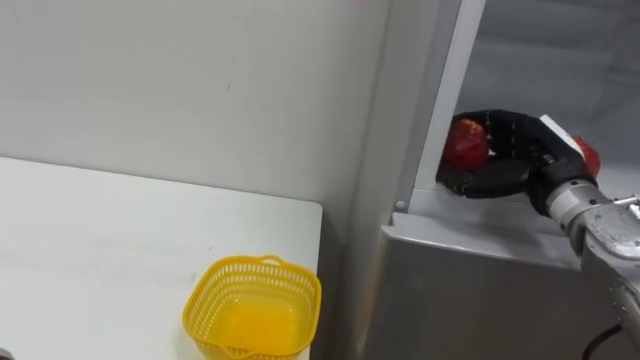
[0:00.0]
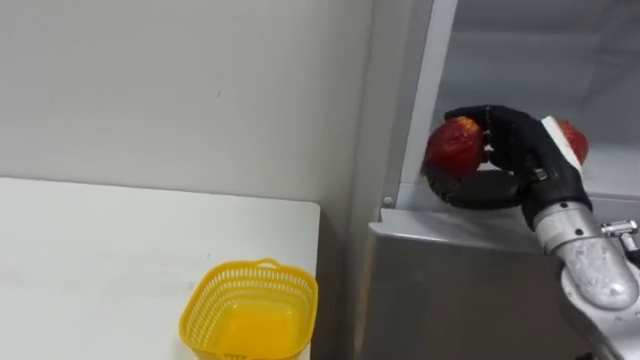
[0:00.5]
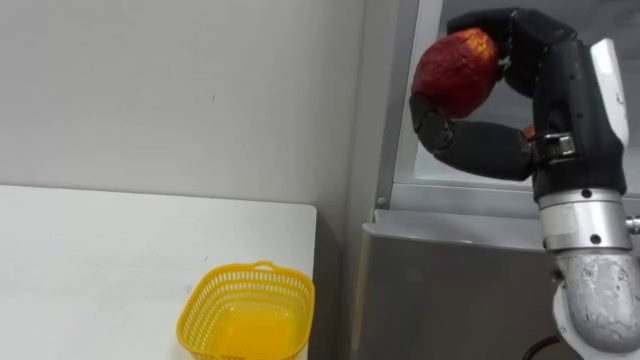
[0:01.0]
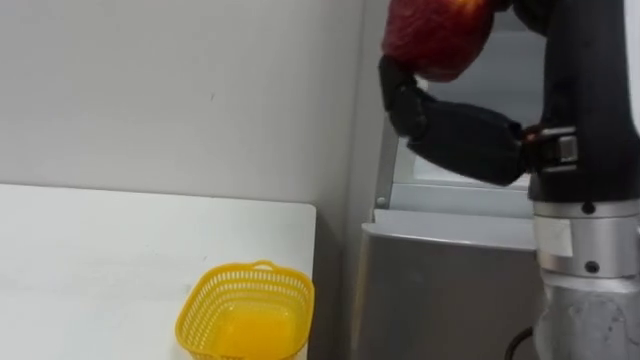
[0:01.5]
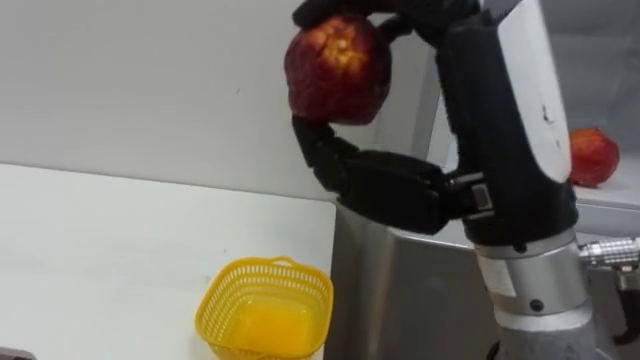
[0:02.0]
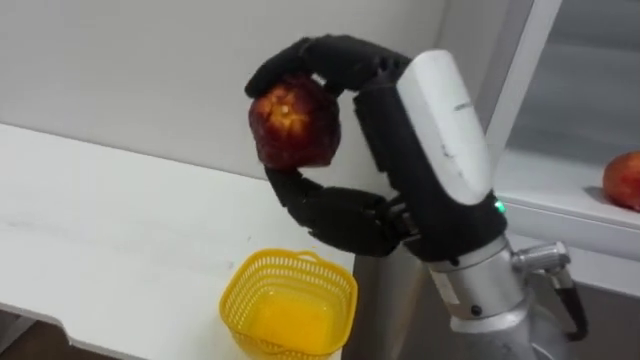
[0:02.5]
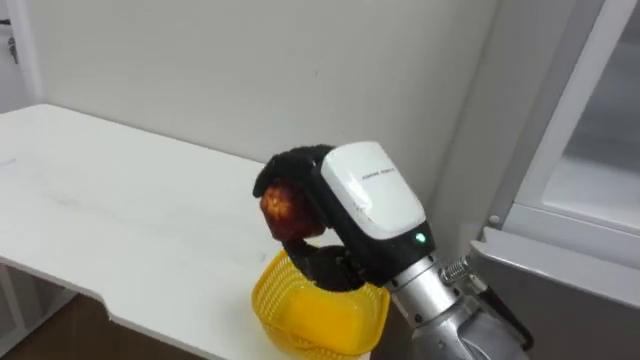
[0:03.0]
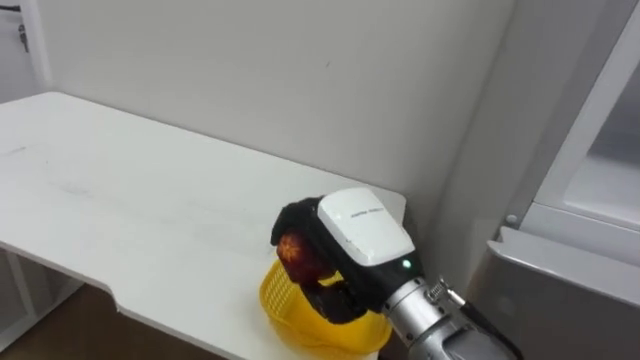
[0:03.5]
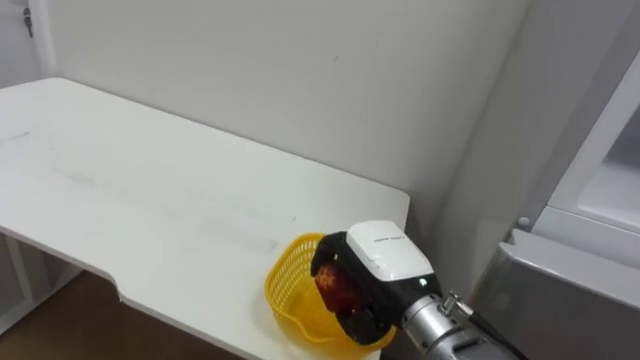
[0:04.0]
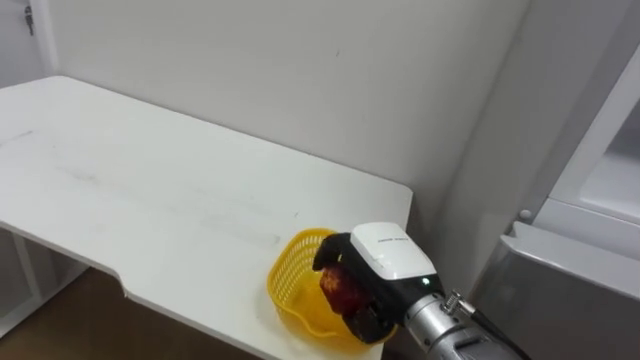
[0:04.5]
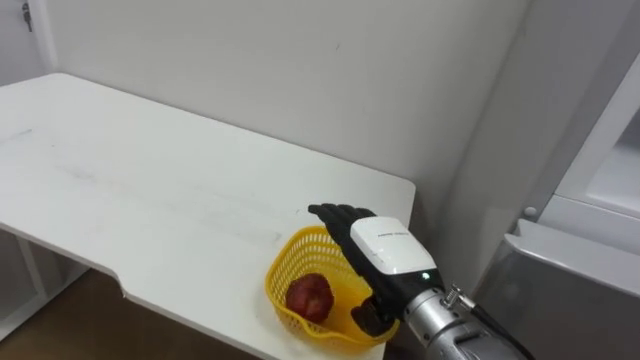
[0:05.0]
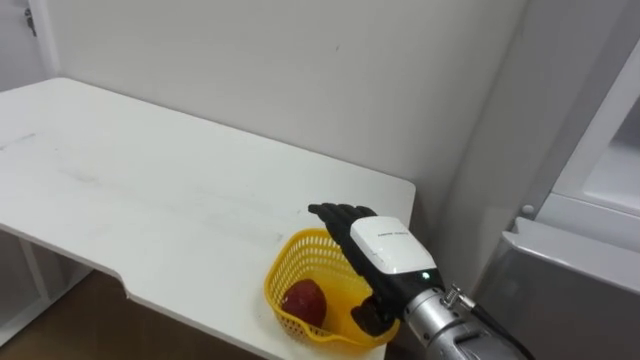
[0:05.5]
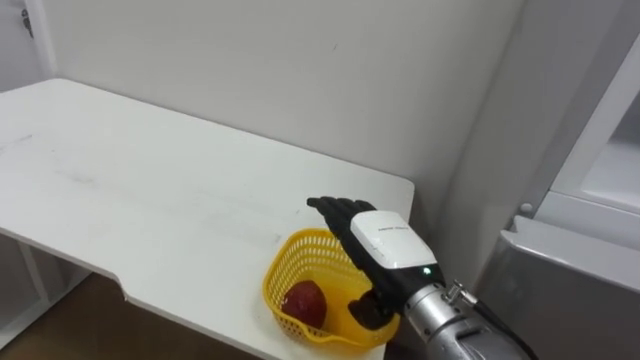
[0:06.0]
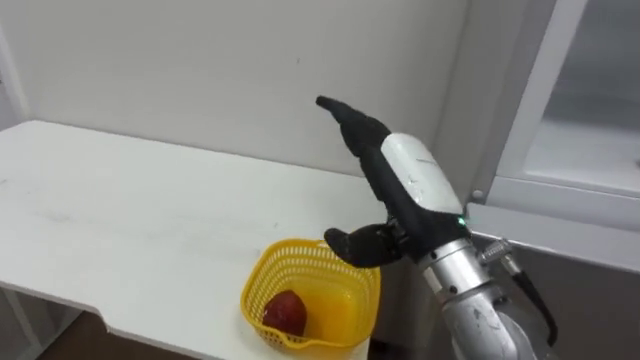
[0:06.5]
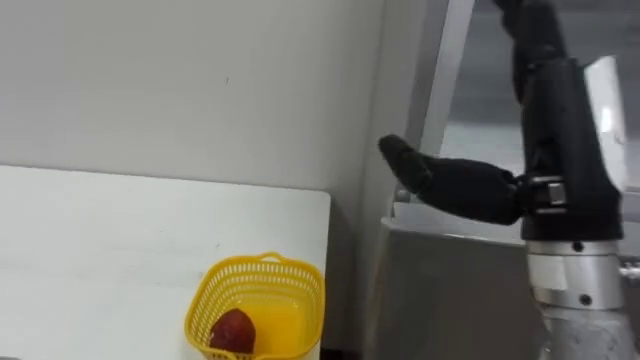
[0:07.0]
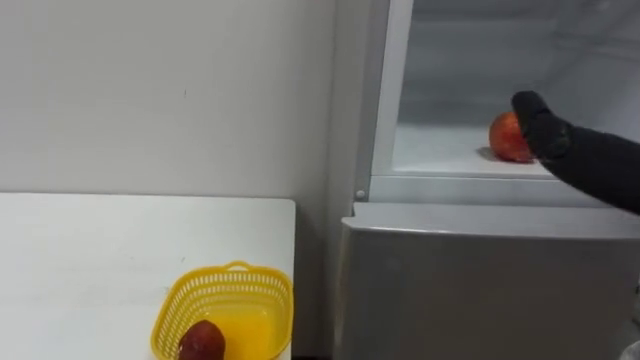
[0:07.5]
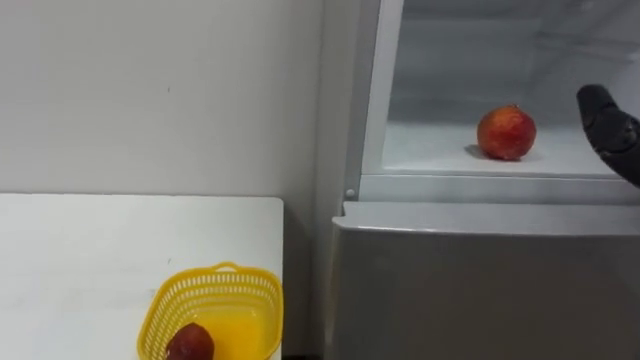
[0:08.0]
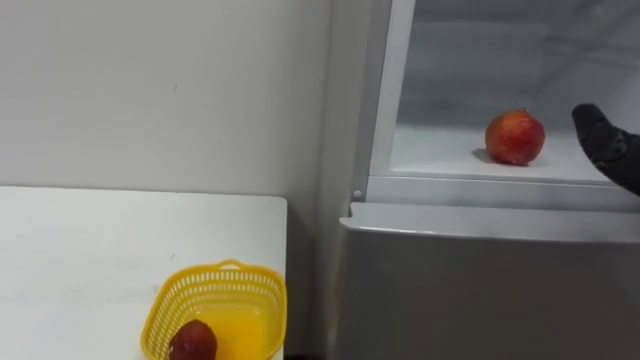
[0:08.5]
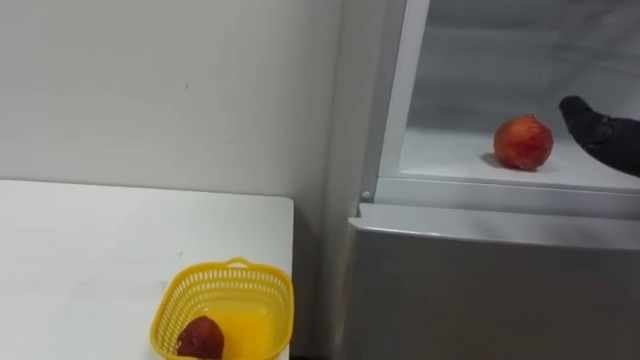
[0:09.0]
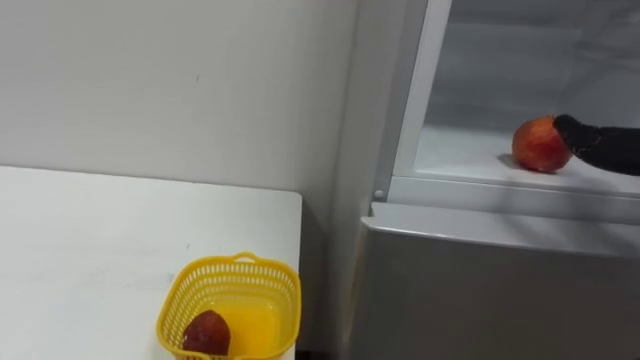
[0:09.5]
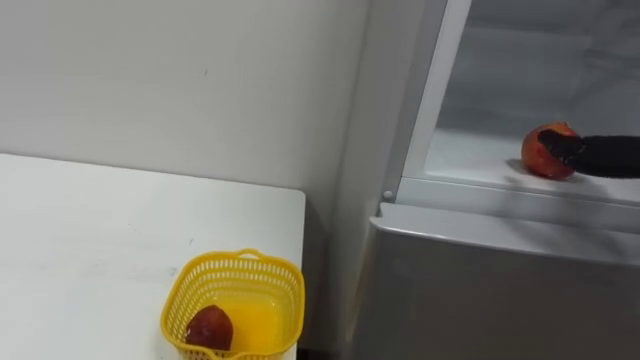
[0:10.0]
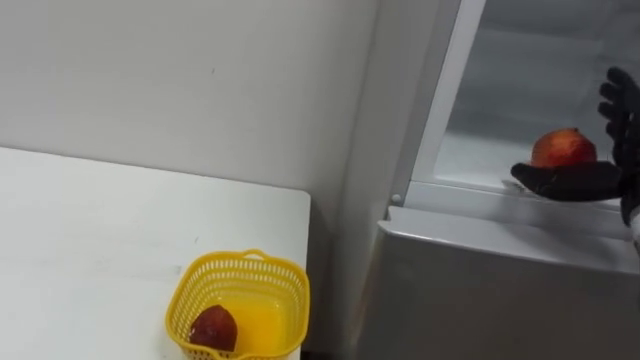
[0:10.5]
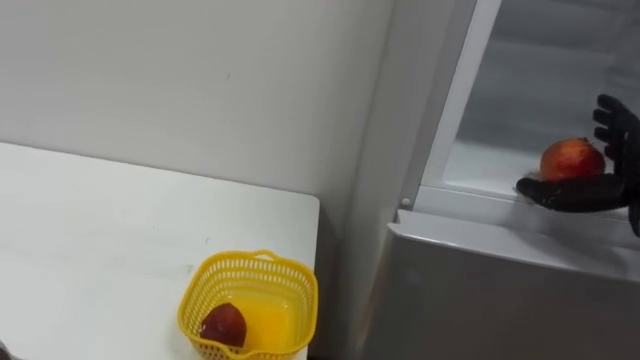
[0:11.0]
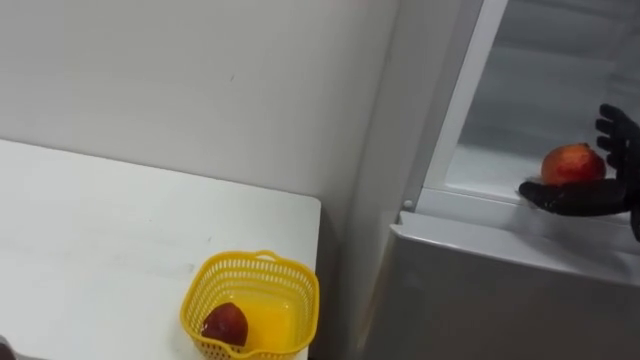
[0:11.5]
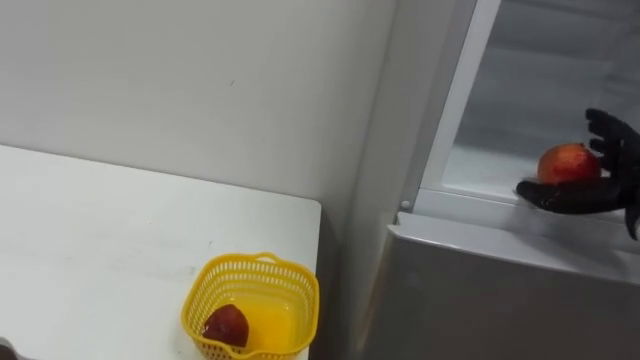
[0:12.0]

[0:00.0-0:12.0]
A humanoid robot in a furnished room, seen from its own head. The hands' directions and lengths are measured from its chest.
Task of the whole recording: Open the refrigerator door, take out the apple and the pomegranate, place them in the fruit basket on the left, and close the refrigerator door.
0:00.0 to 0:02.0: The right hand heads backward, to the left and upward, covering about 25 cm.
0:02.0 to 0:04.0: The right hand moves downward and forward, about 25 cm.
0:04.0 to 0:06.0: The right hand opens up.

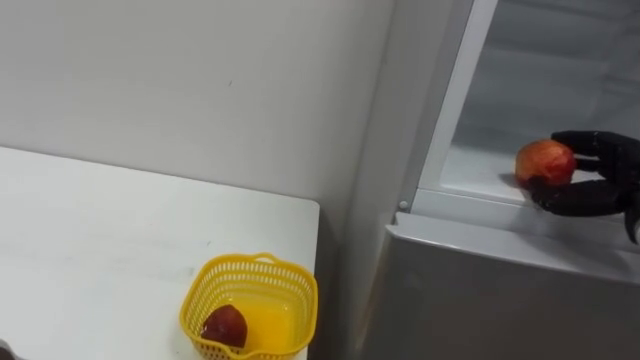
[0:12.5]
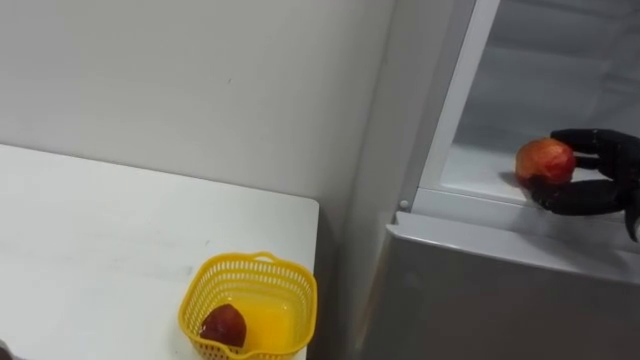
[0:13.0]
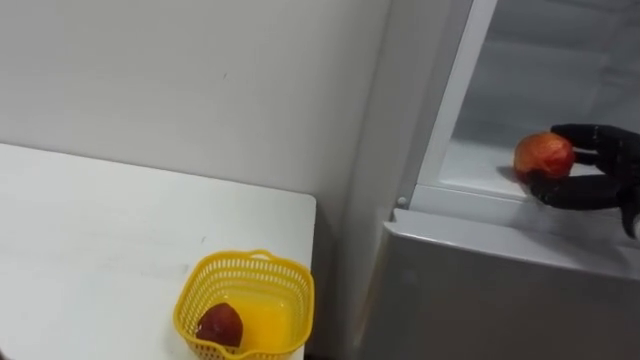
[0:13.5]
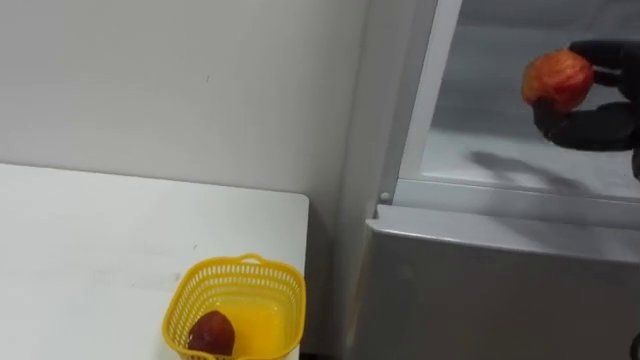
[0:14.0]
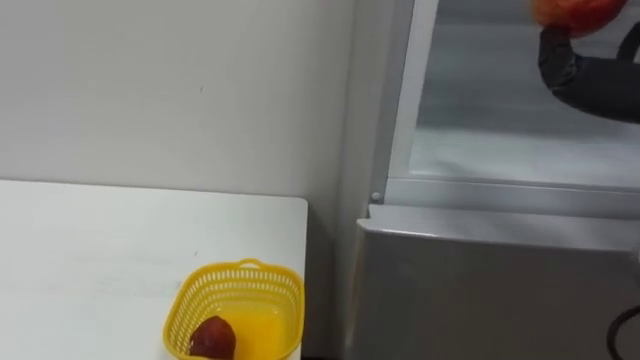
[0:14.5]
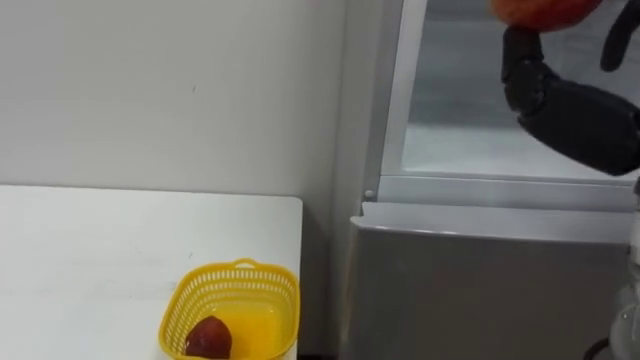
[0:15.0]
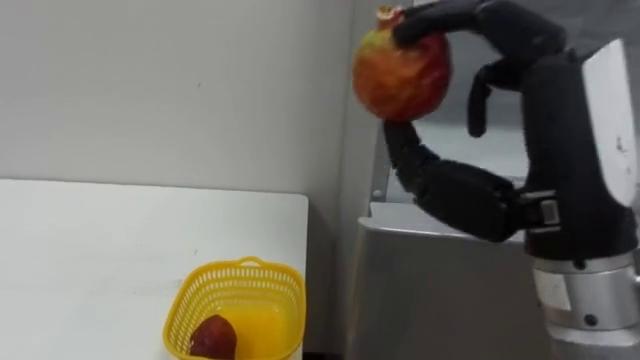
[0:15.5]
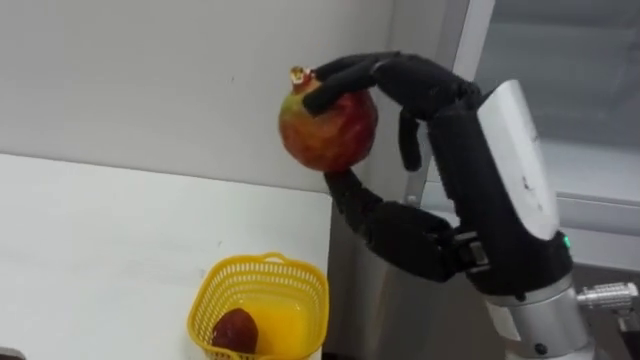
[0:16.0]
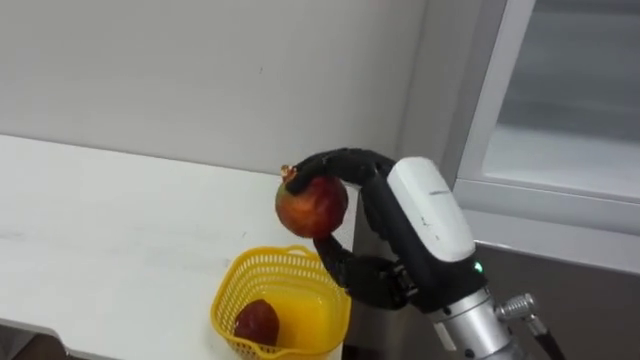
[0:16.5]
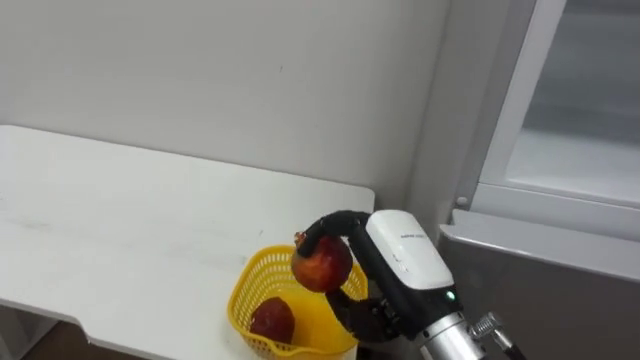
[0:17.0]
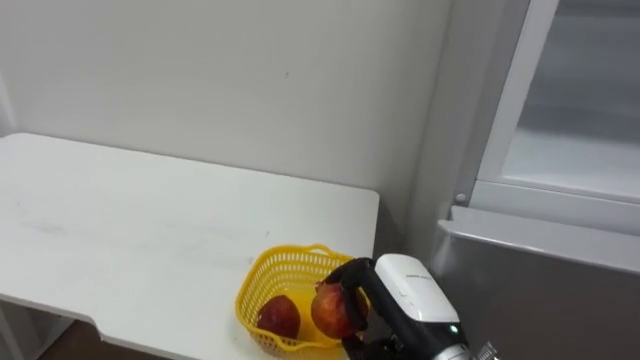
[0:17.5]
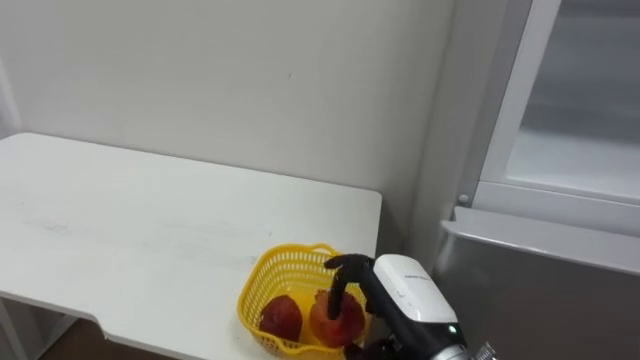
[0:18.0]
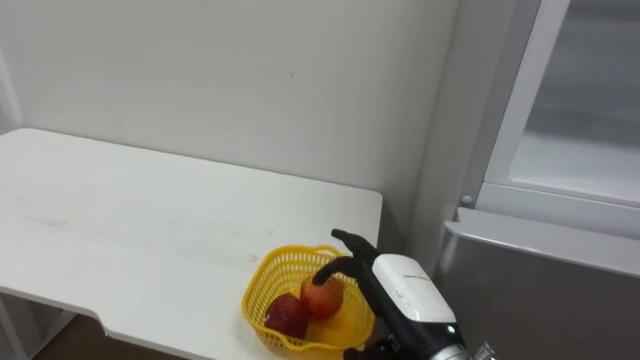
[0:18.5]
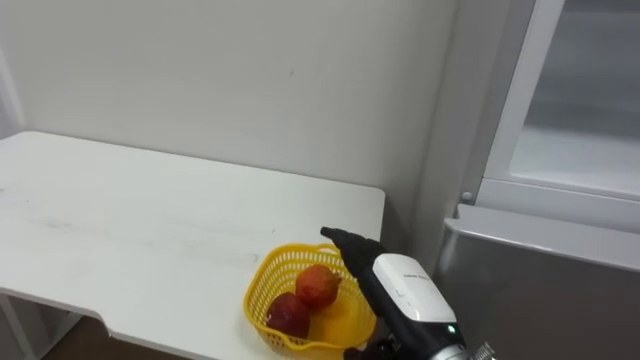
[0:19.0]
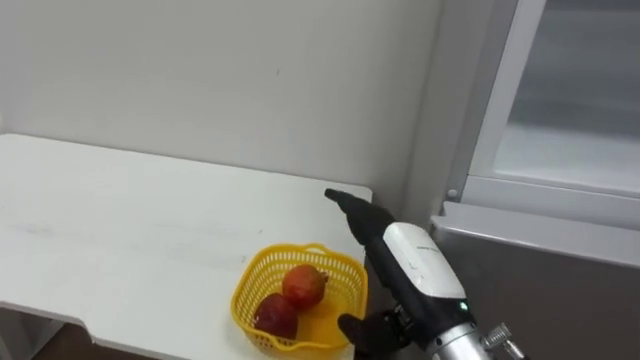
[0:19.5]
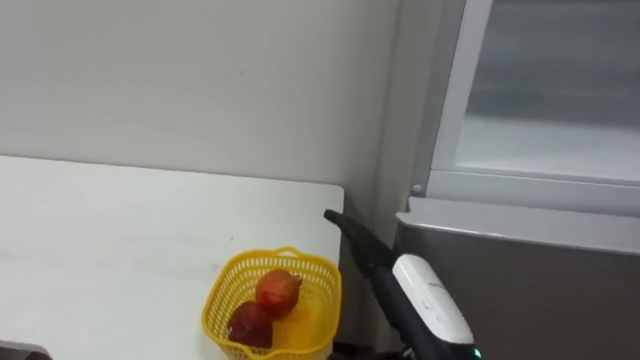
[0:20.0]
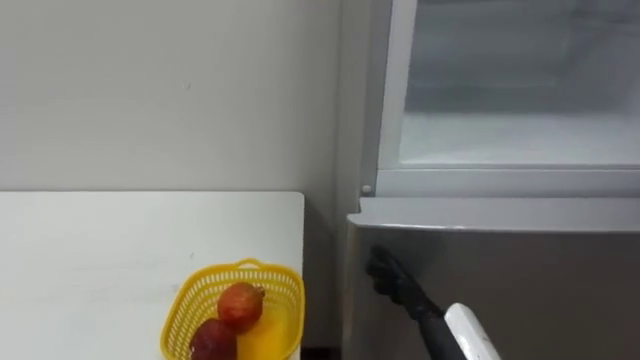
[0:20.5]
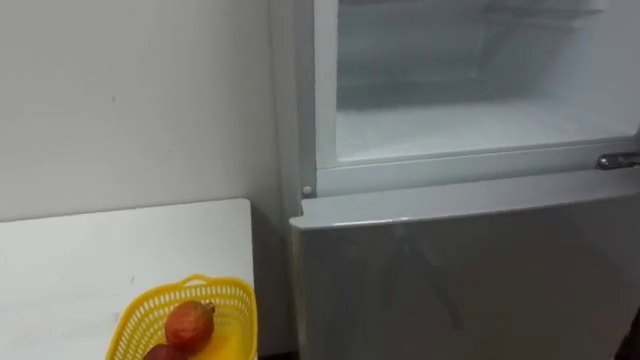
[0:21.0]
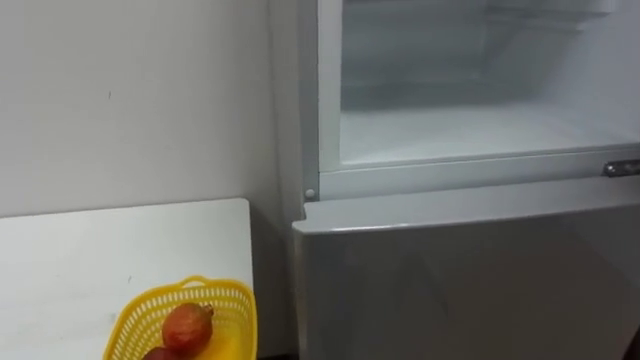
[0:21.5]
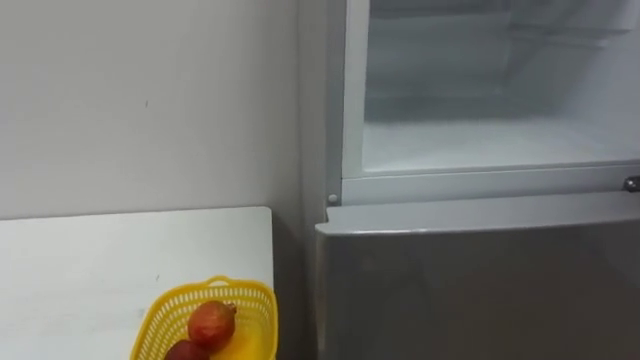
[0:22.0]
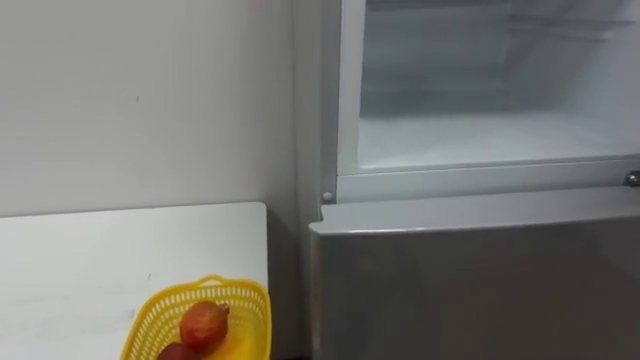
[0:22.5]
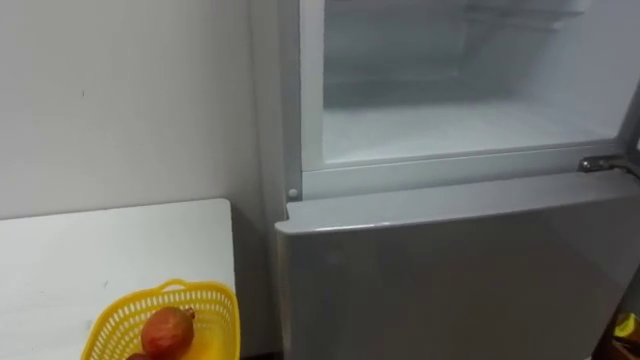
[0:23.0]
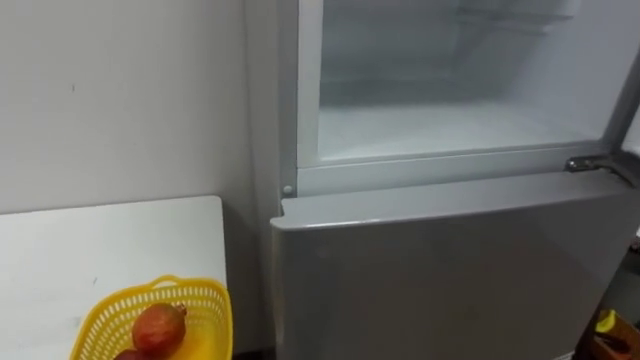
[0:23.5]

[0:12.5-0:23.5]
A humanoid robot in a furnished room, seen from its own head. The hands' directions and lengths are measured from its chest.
Task of the whole recording: Open the refrigerator door, take out the apple and the pomegranate, place them in the fruit basket on the left, and close the refrigerator door.
0:16.0 to 0:18.0: The right hand shifts approximately 20 cm downward.
0:18.0 to 0:20.0: The right hand changes place by about 5 cm, and opens its fingers.
